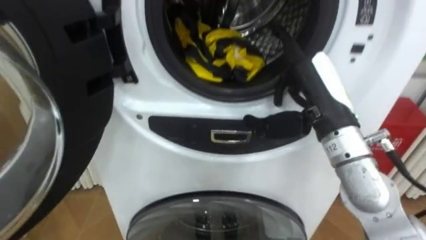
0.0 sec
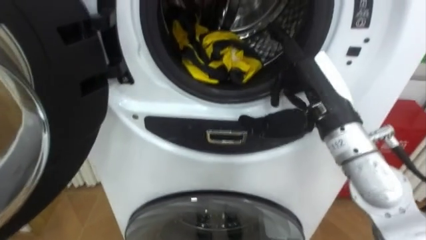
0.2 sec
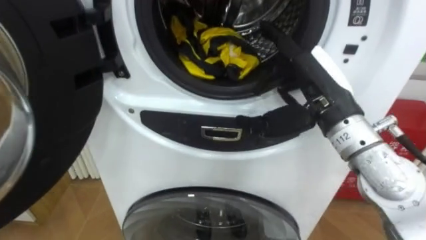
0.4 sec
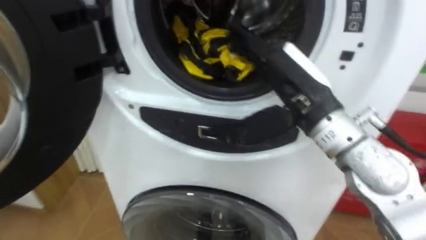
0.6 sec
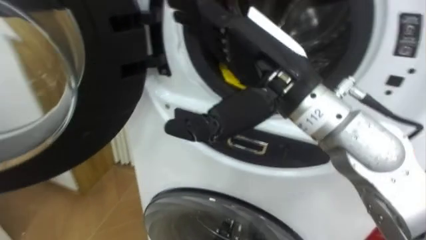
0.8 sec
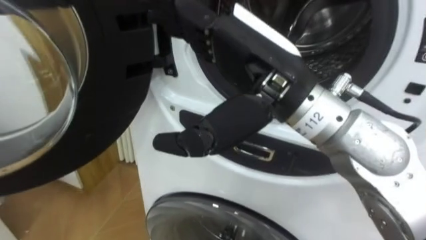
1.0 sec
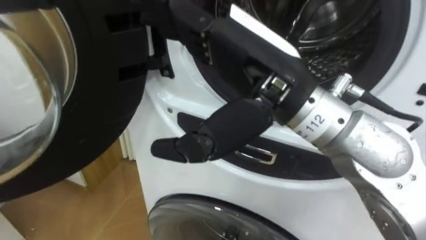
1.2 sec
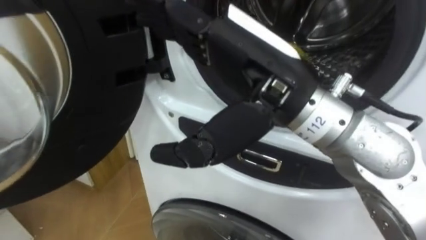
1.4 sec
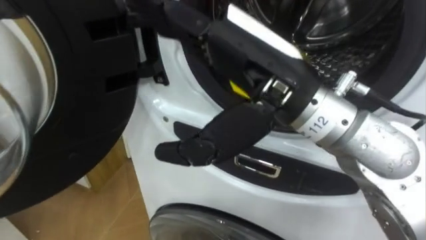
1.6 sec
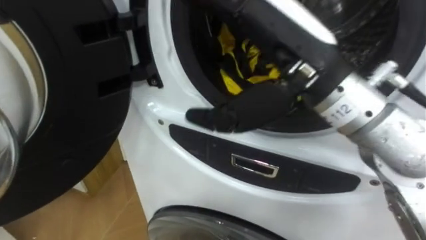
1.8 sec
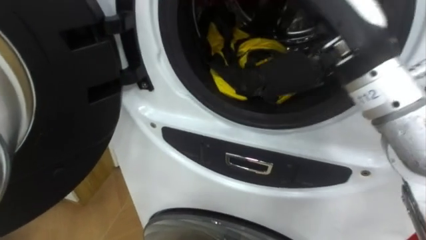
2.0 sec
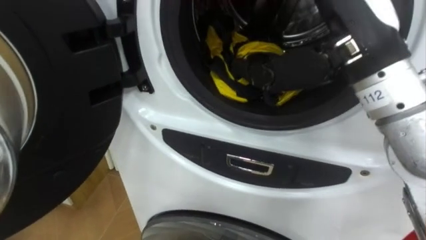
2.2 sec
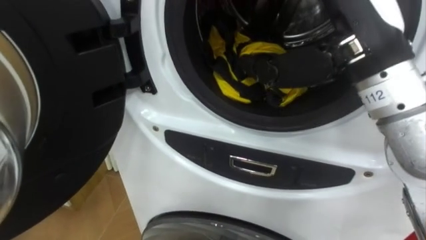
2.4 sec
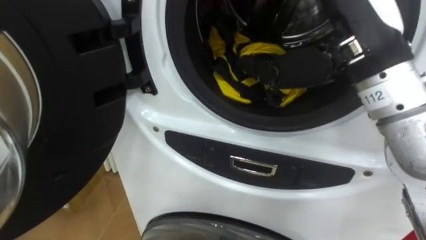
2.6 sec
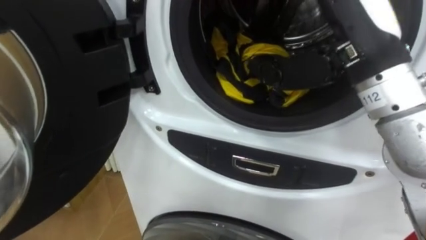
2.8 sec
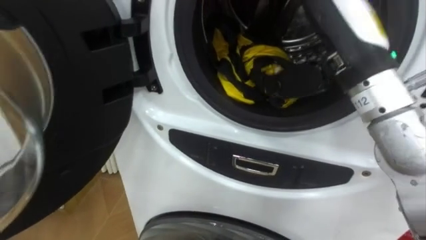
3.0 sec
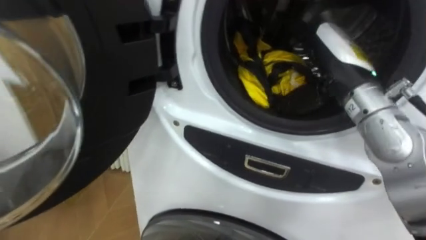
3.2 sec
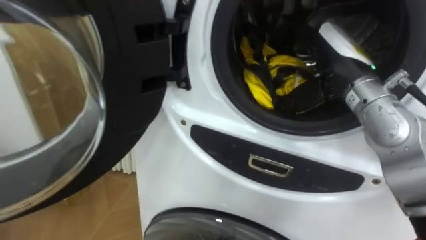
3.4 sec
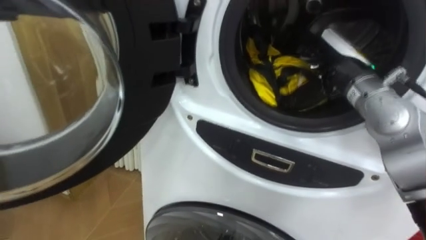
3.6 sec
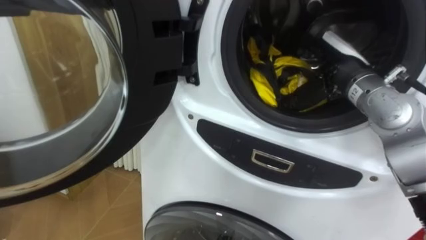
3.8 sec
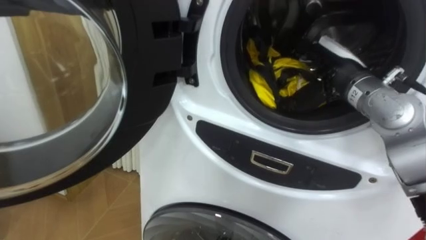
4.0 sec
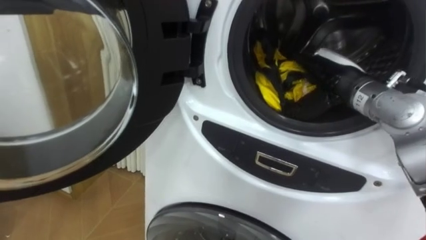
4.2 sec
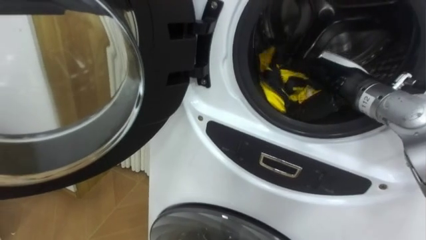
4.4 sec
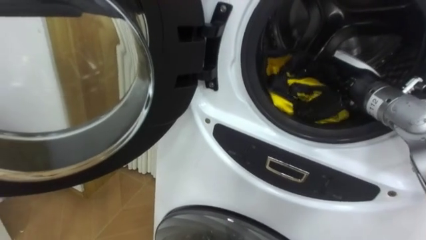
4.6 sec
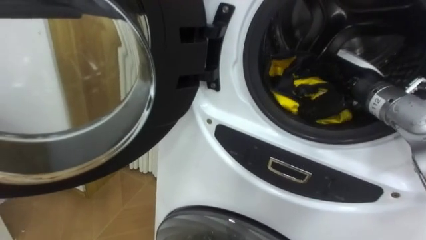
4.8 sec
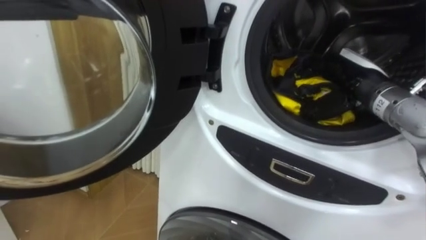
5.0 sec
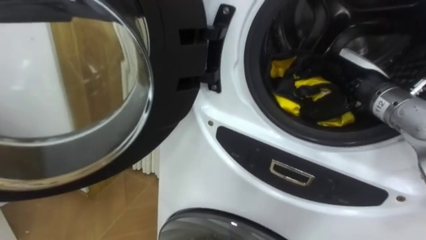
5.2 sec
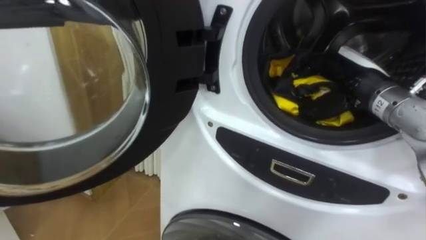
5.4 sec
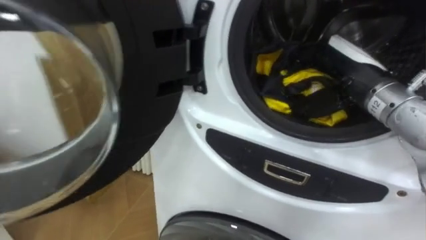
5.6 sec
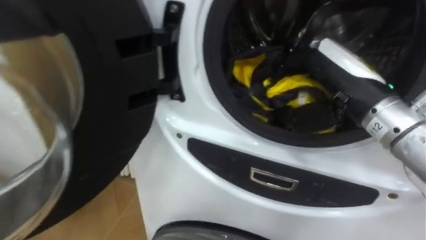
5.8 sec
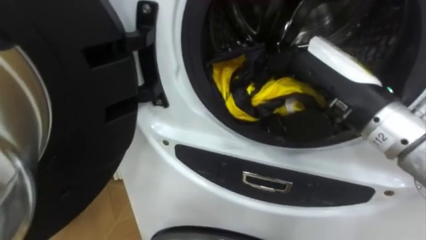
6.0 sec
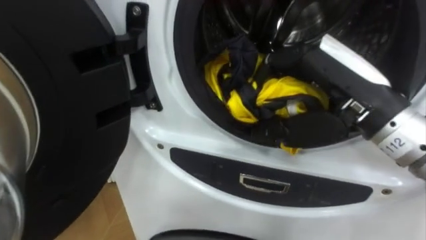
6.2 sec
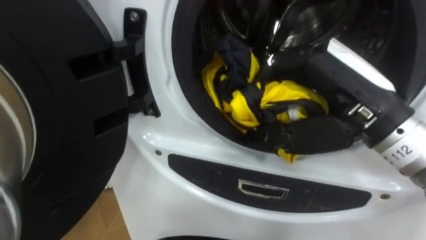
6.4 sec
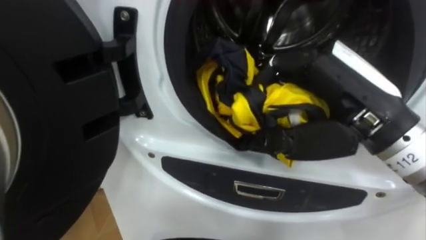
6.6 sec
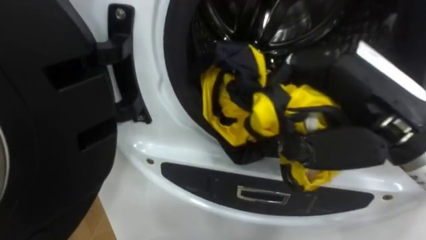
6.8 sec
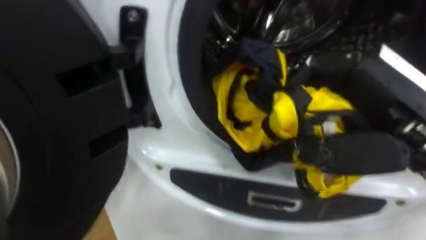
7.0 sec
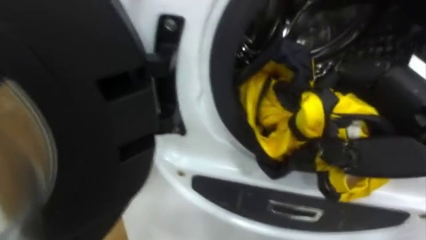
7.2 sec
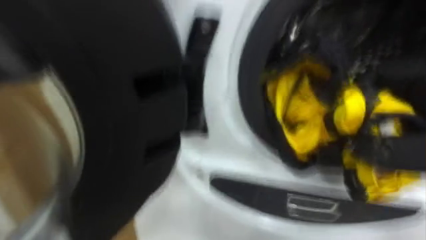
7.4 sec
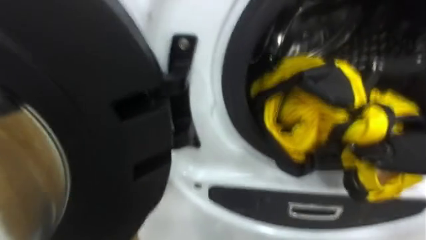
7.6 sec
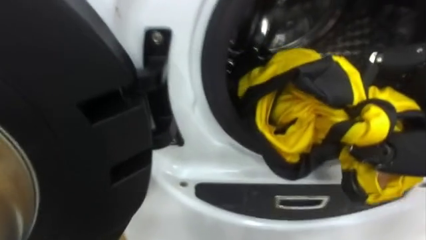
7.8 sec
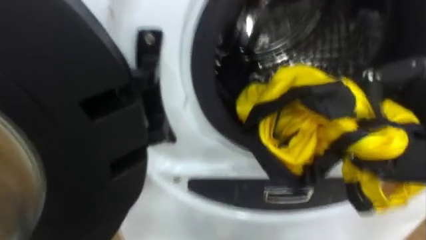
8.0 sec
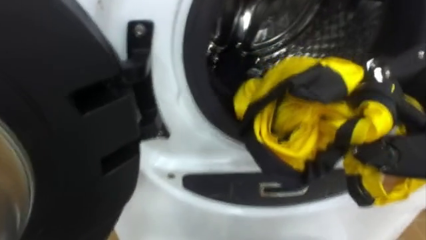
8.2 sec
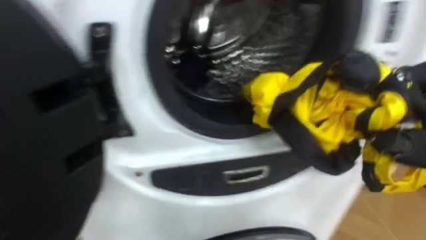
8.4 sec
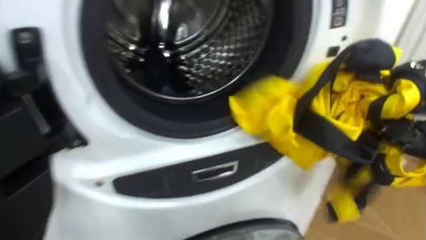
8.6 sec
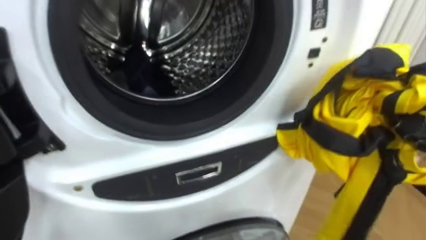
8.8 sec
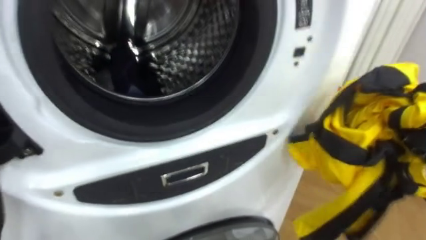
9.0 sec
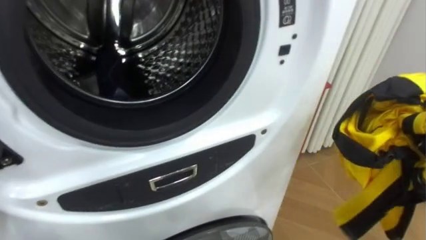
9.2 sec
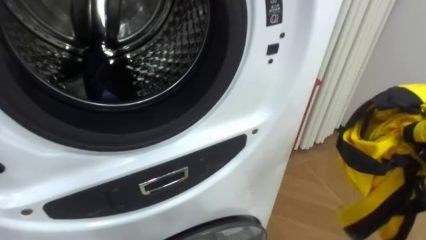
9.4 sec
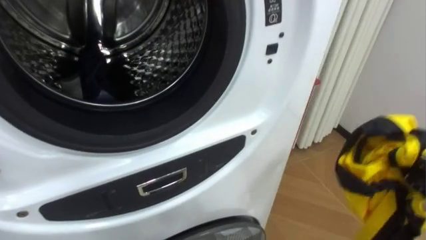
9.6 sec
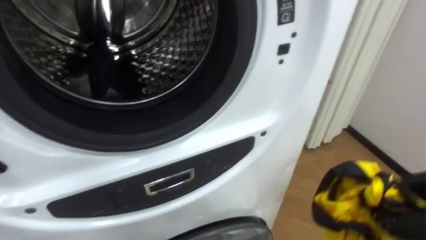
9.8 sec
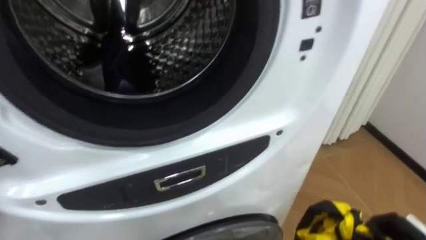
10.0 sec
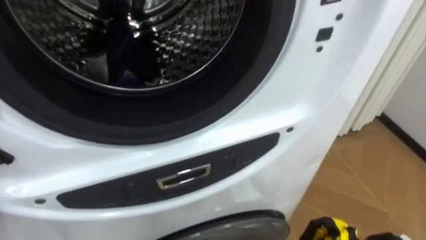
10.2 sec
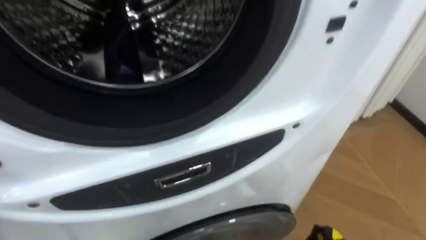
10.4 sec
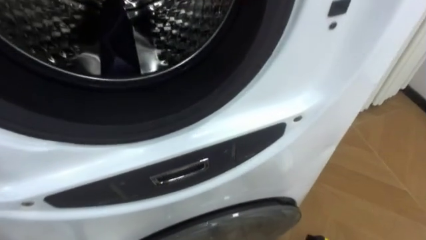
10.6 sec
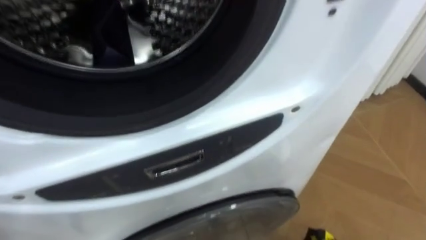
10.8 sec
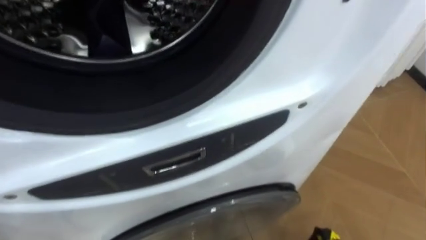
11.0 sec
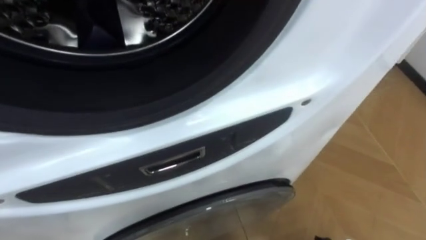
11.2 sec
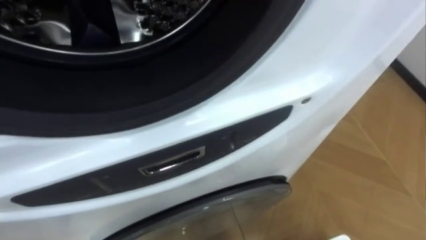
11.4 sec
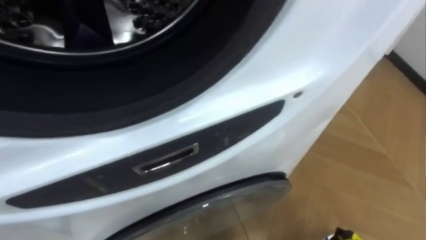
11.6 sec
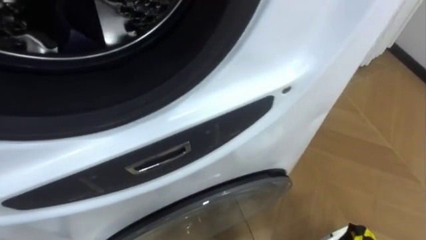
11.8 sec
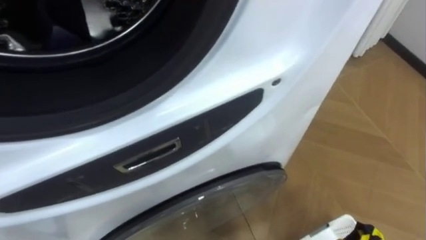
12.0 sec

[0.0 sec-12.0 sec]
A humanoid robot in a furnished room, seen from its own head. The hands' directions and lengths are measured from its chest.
Task of the whole recording: Open the washing machine door, take out the yellow clothes, place them in the box on the right, and close the washing machine door.
0.0 sec to 1.6 sec: The robot turns to its left by roughly 15 degrees. The right hand is displaced to the left, upward and backward by about 15 cm.
1.6 sec to 3.0 sec: The right hand is displaced to the right and forward by about 15 cm.
3.0 sec to 4.4 sec: The right hand heads downward, forward and to the right, covering about 15 cm.
4.4 sec to 6.0 sec: The right hand travels backward, upward and to the left by about 15 cm, and closes.
7.6 sec to 9.0 sec: The robot faces about 20 degrees further to its right.

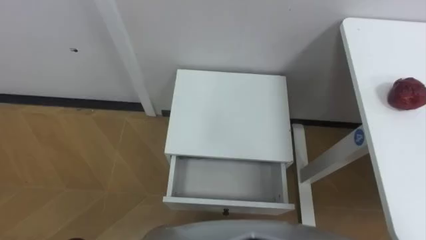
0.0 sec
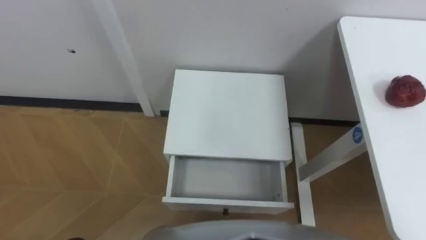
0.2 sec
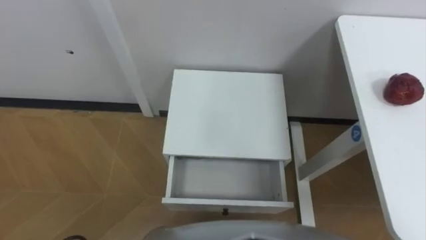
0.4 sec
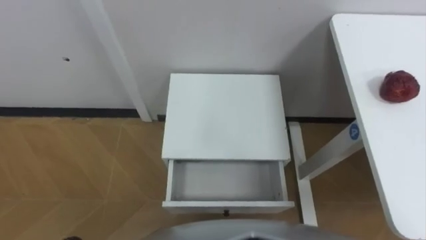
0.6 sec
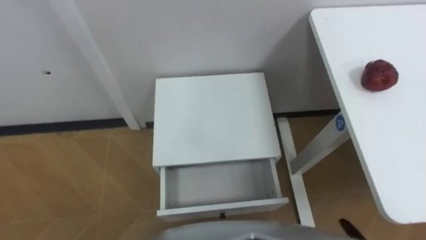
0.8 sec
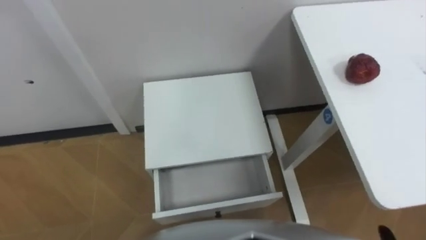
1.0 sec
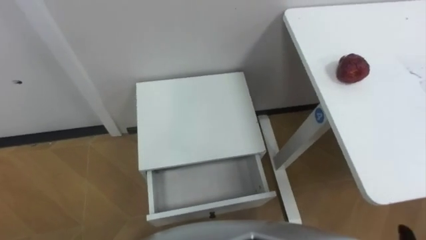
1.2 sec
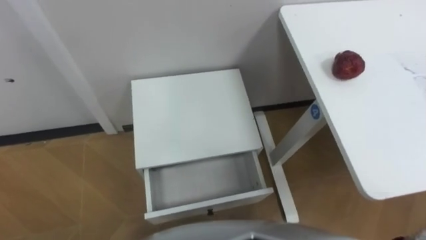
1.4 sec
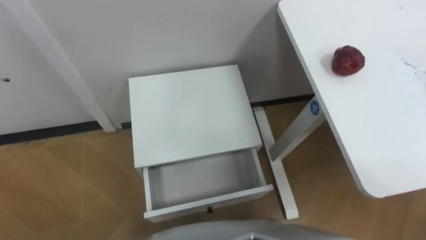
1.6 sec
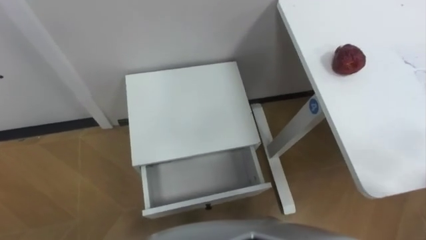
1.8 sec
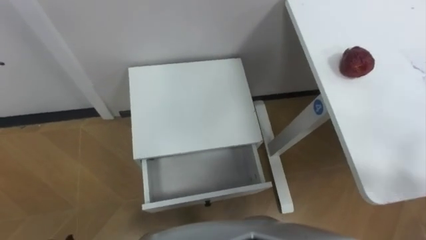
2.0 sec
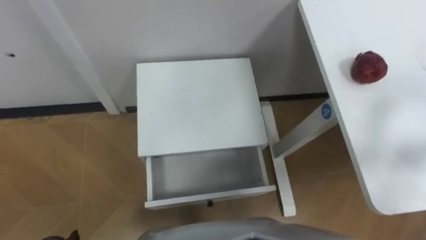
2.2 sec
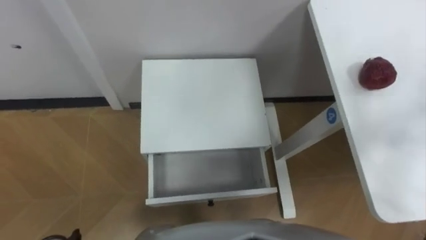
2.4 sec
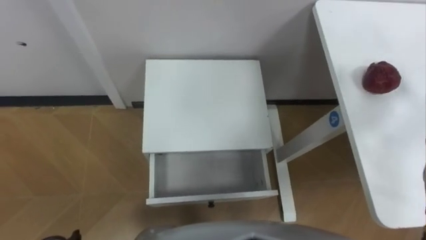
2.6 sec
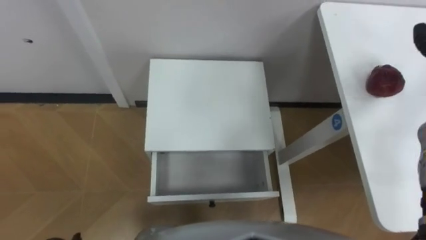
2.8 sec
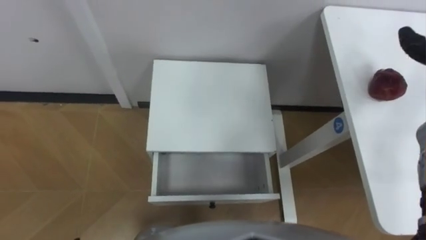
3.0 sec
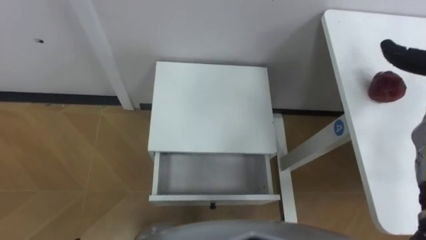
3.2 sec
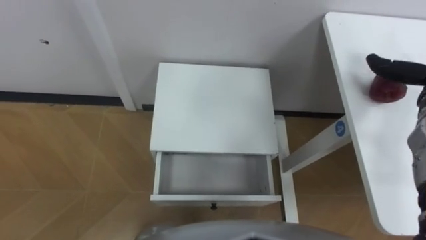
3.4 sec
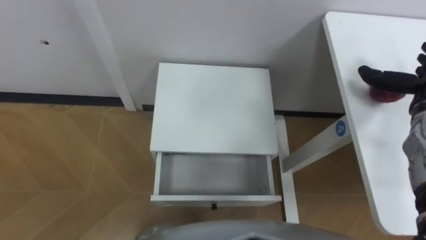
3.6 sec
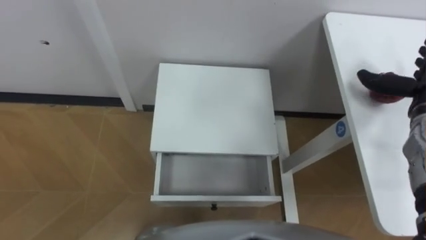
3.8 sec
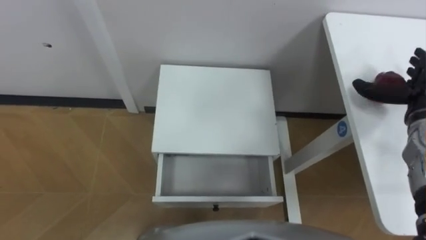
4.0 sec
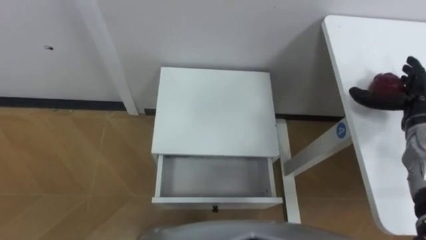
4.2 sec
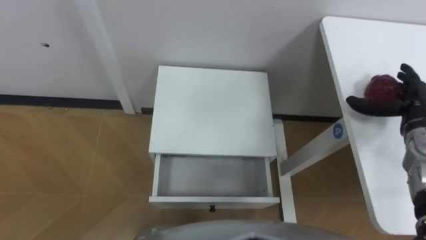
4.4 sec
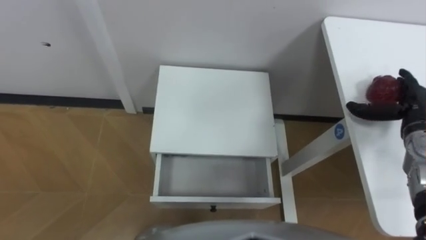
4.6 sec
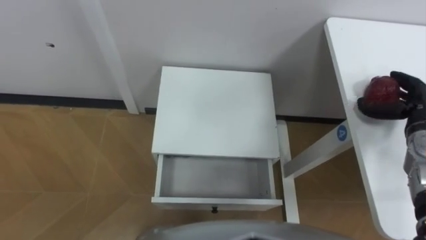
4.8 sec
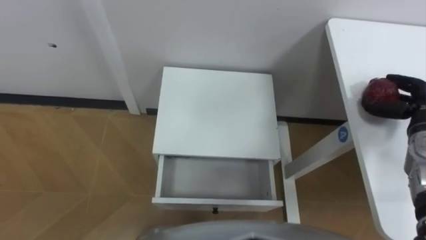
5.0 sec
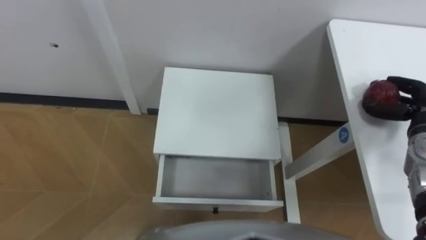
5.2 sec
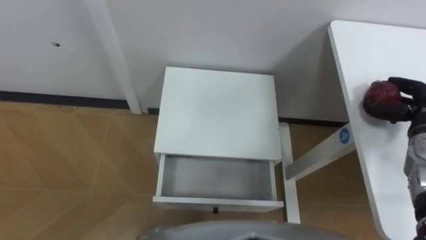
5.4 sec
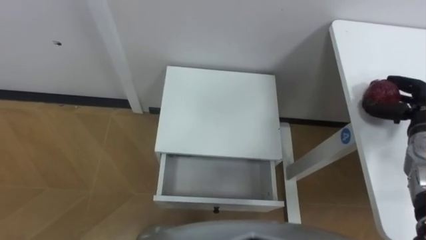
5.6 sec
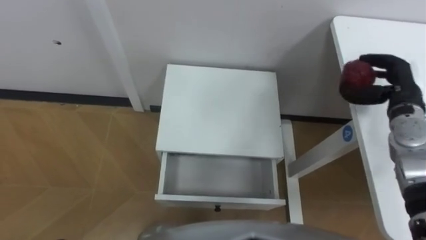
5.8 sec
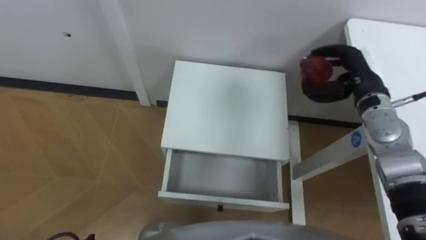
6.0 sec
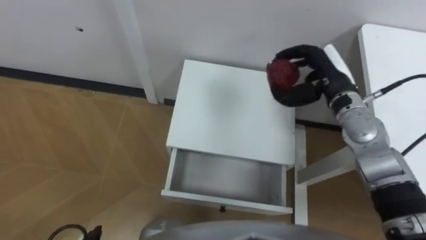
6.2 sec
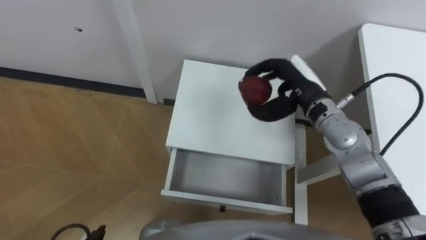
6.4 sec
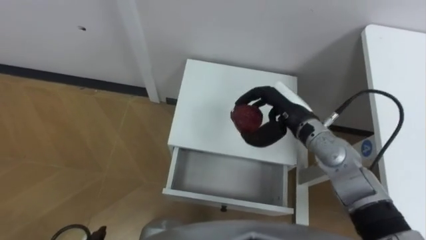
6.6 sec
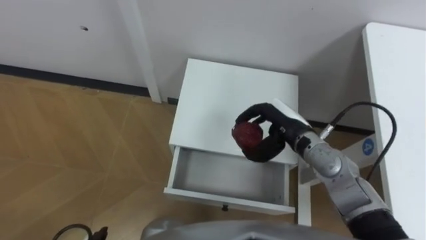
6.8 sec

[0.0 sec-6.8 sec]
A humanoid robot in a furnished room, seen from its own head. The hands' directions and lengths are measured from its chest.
Task of the whole recording: Pick up the apple from the table, put it in the drawer, and close the drawer with leg.
4.0 sec to 5.4 sec: The right hand closes up.
5.4 sec to 6.8 sec: The right hand heads to the left, covering approximately 25 cm.
